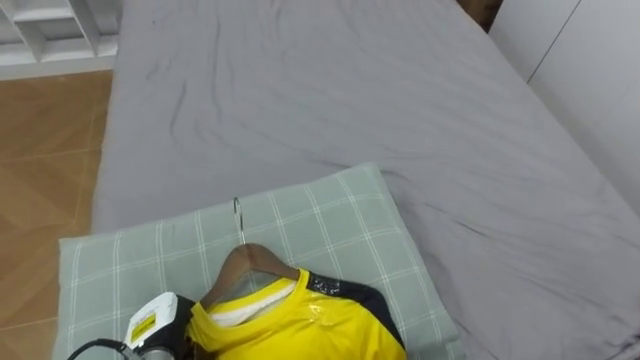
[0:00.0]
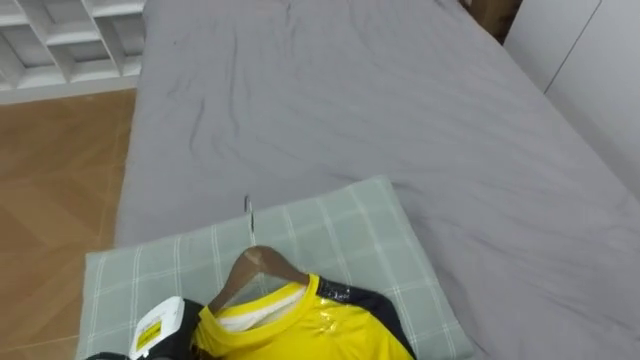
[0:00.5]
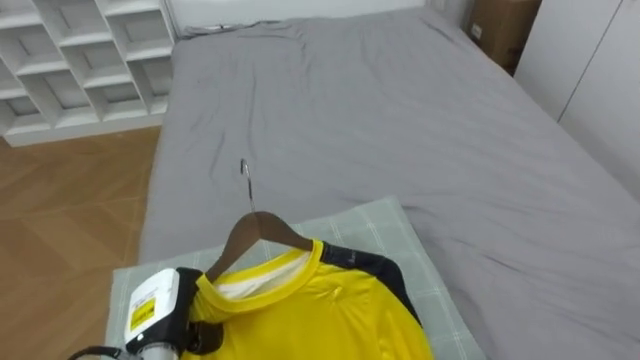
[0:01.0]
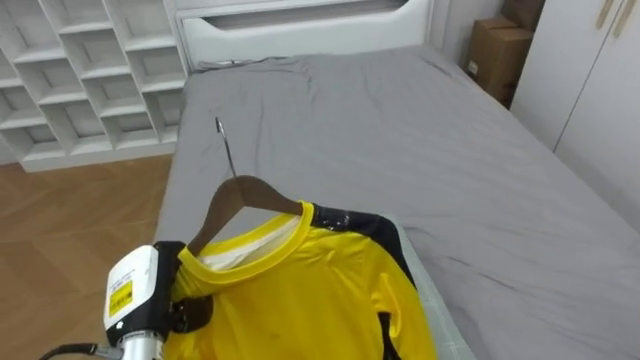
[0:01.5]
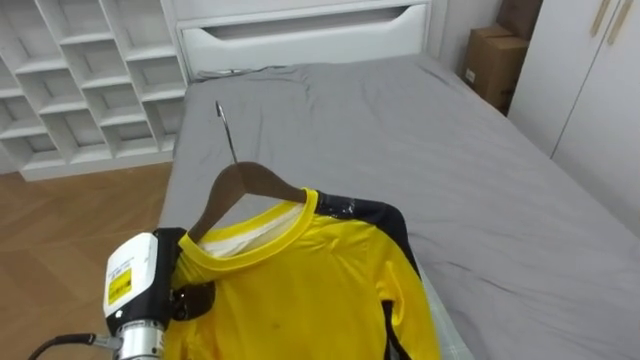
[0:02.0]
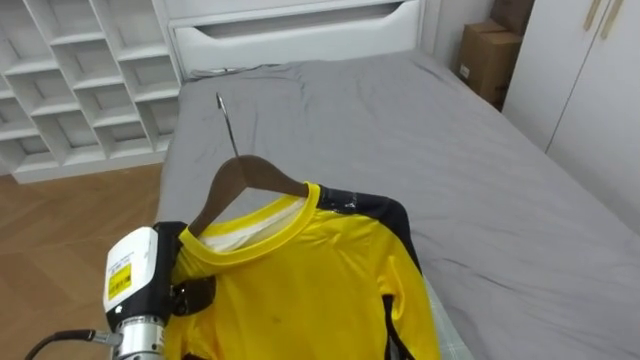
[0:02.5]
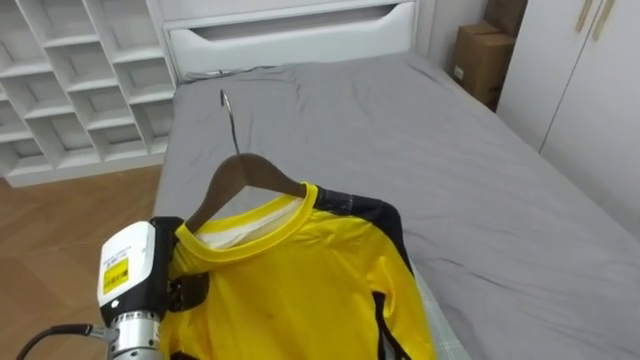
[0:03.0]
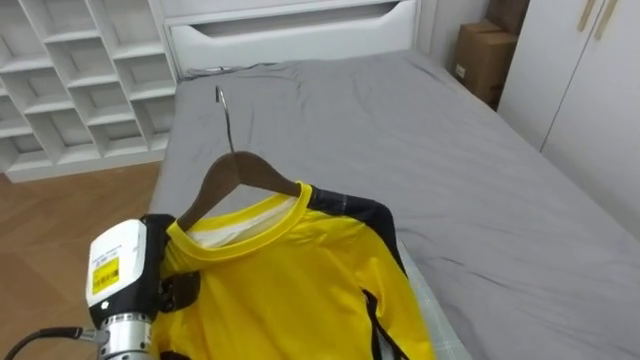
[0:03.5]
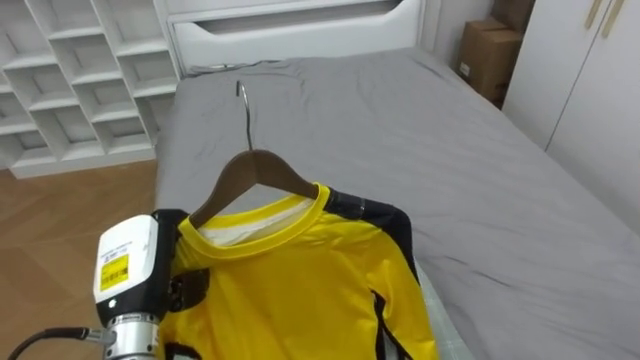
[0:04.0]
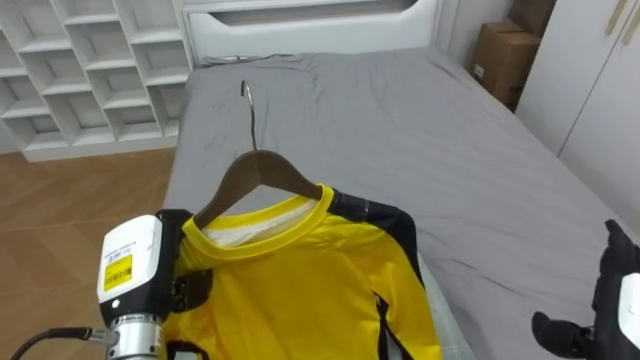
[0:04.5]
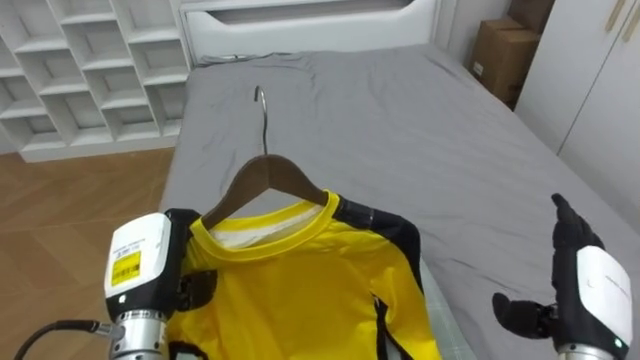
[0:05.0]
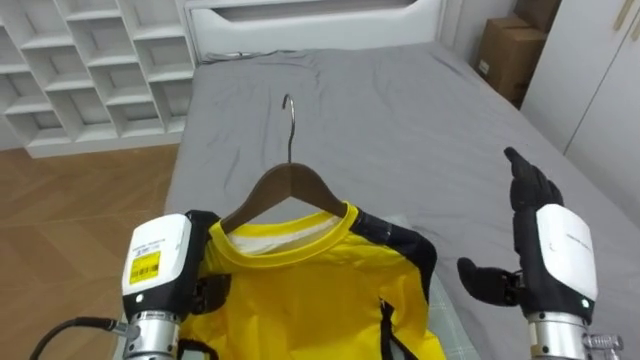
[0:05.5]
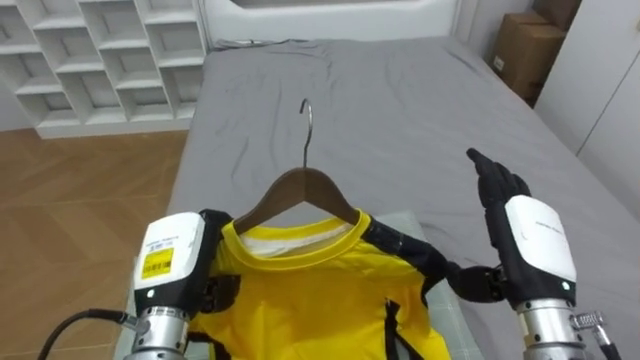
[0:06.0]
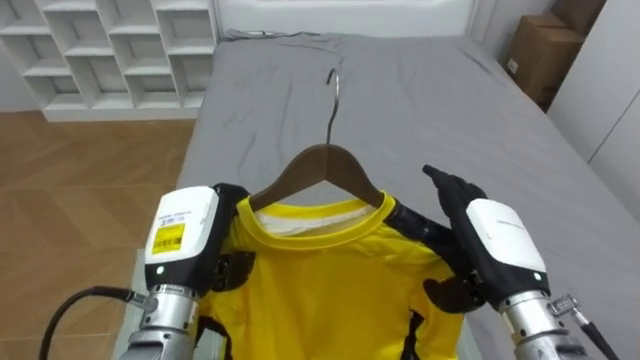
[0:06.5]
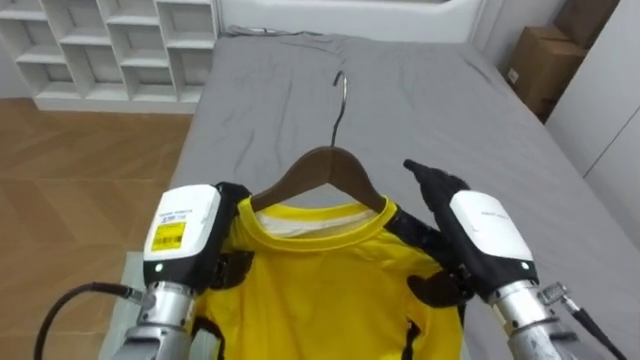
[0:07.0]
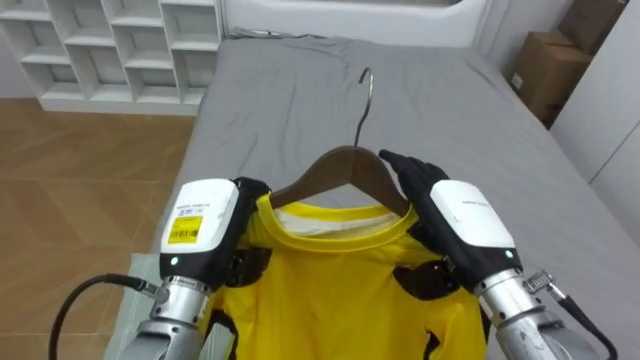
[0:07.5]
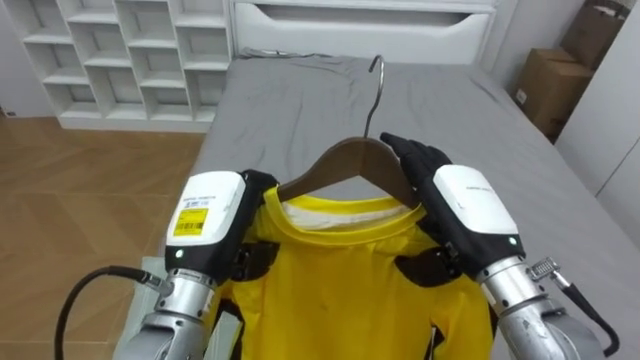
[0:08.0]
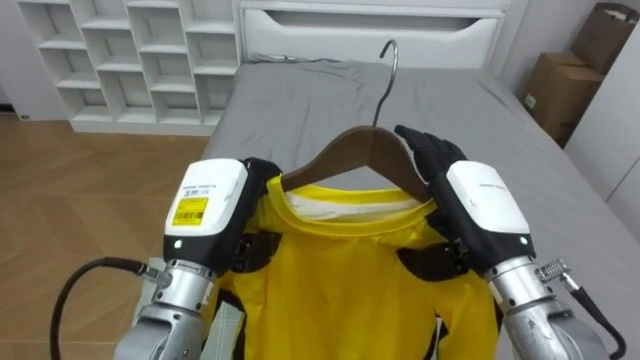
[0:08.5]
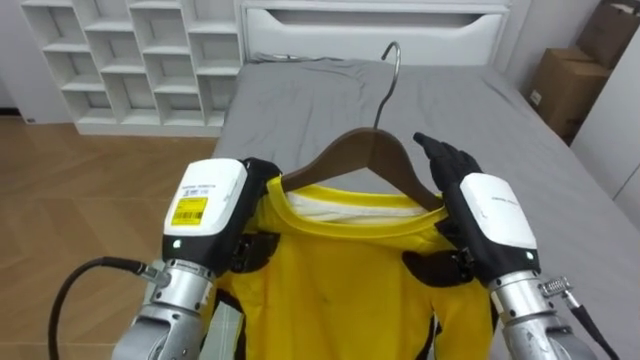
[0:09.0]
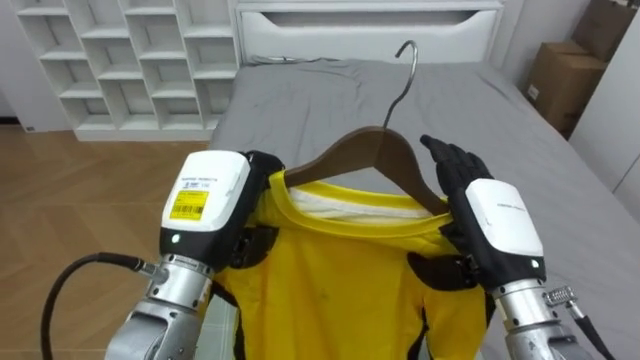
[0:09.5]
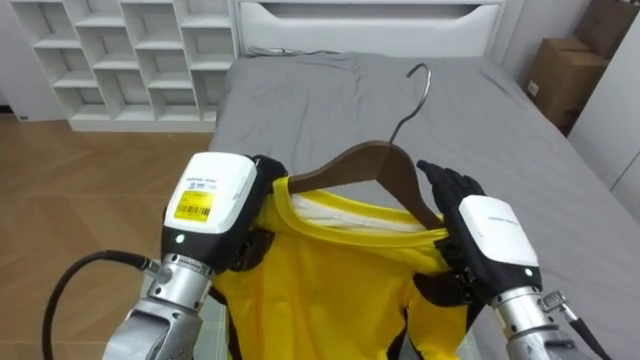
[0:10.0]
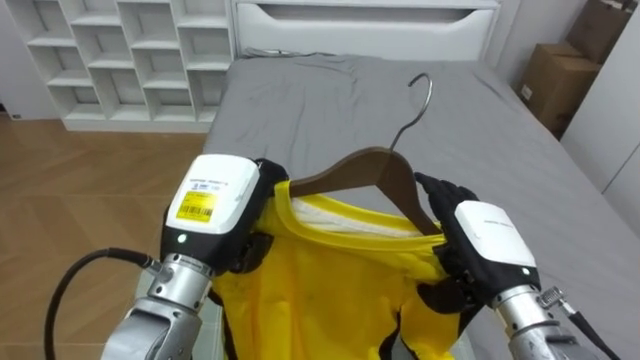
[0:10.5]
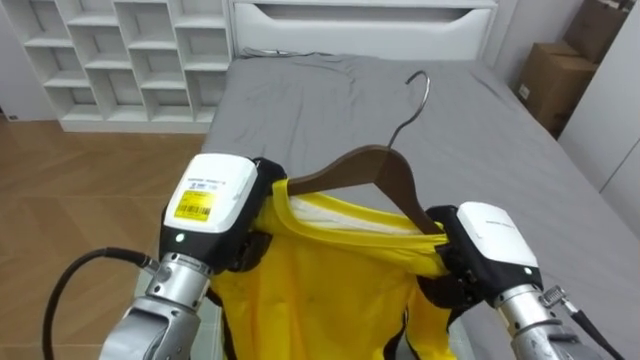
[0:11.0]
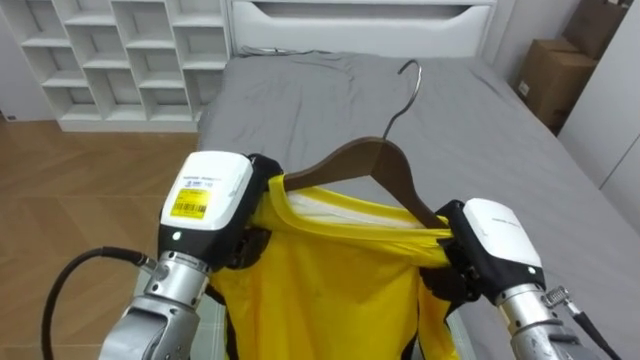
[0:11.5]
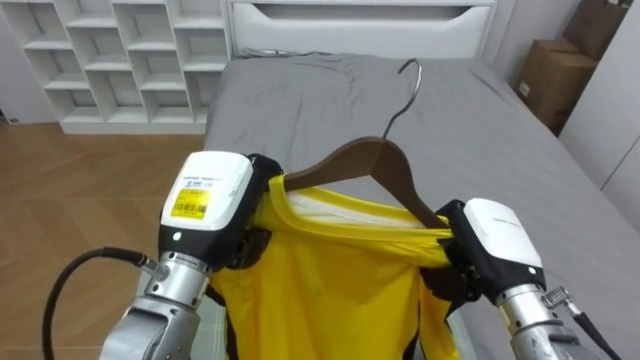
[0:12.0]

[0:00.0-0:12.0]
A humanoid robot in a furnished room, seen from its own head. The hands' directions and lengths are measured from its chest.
Task of the whole recording: Pick up the yellow shirt on the bed and hang it on the clothes rack on the right.
0:00.0 to 0:02.0: The left hand travels upward by about 10 cm.
0:06.0 to 0:08.0: The left hand heads upward, covering some 5 cm. The right hand moves to the left, some 5 cm.
0:08.0 to 0:10.0: The right hand moves some 5 cm.
0:10.0 to 0:12.0: The right hand closes its fingers.

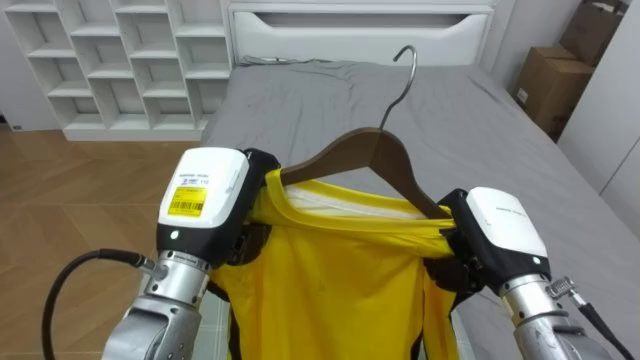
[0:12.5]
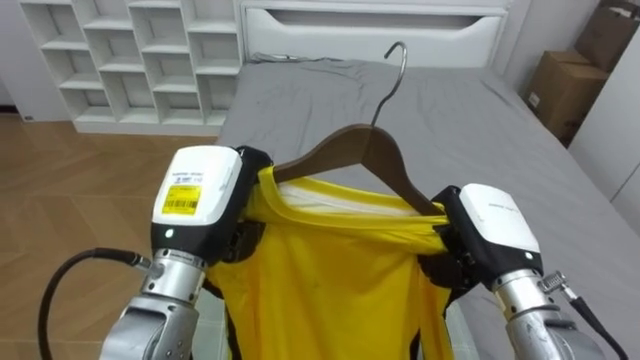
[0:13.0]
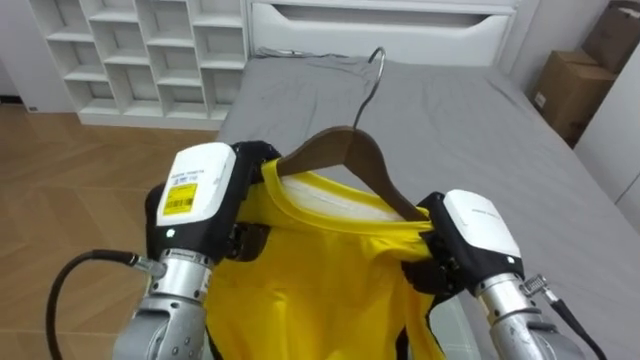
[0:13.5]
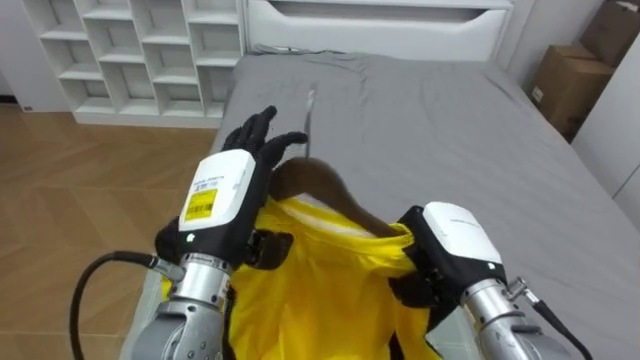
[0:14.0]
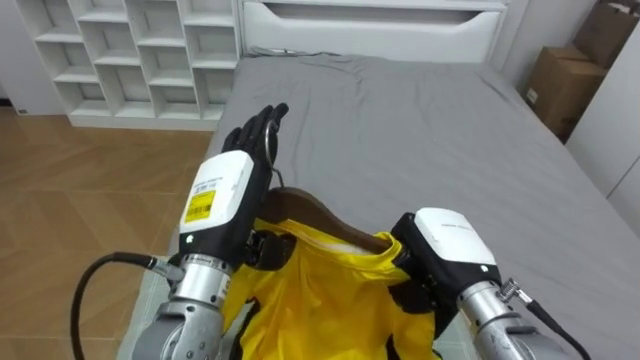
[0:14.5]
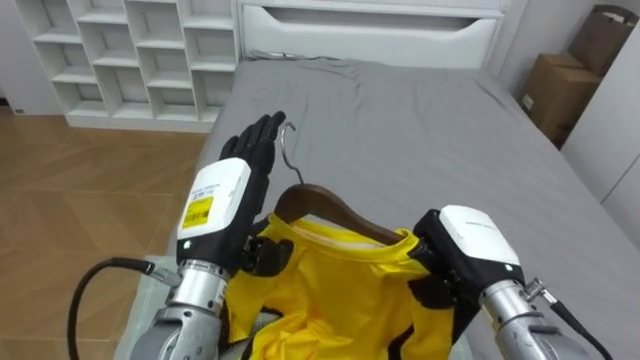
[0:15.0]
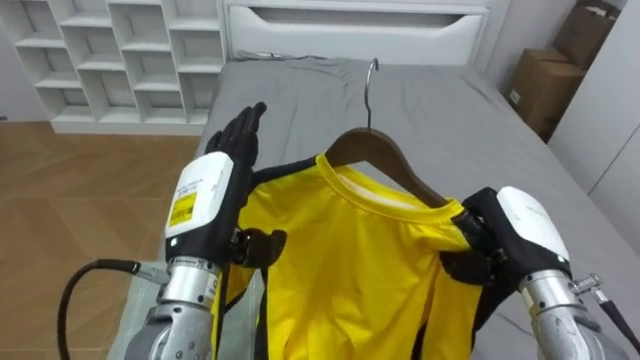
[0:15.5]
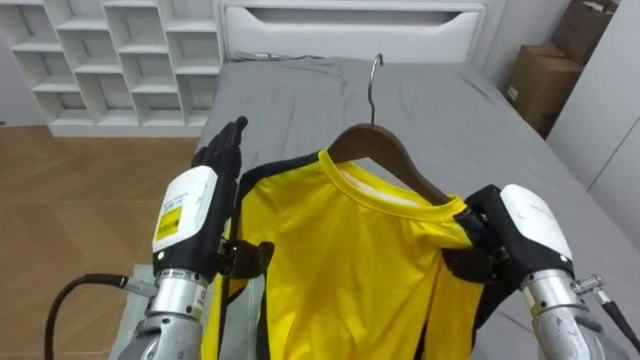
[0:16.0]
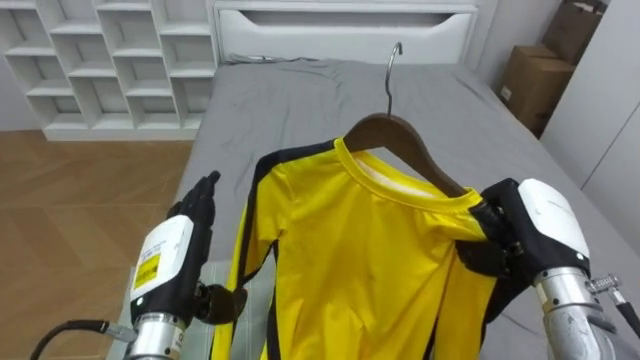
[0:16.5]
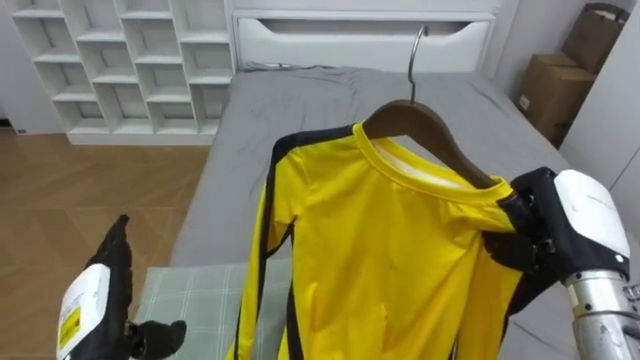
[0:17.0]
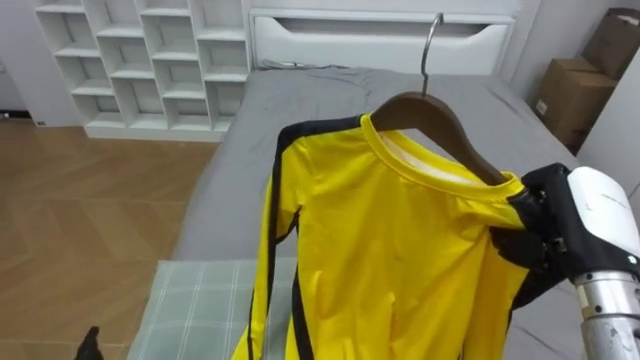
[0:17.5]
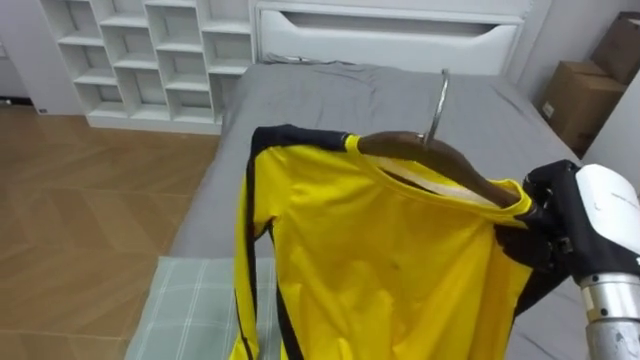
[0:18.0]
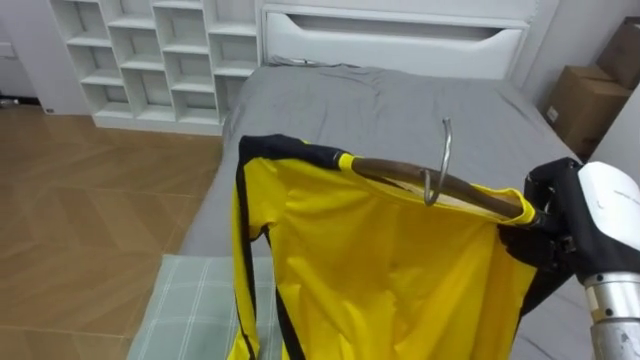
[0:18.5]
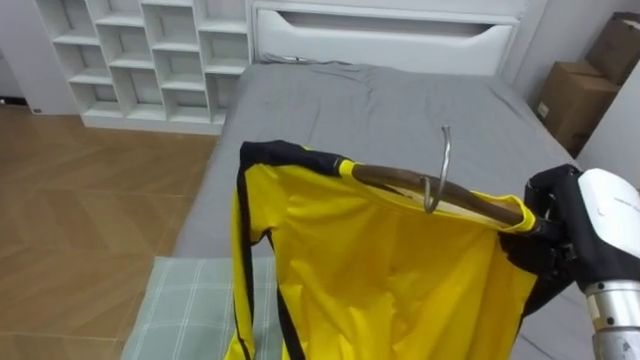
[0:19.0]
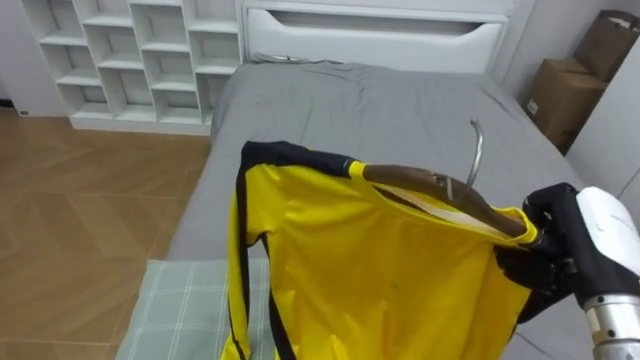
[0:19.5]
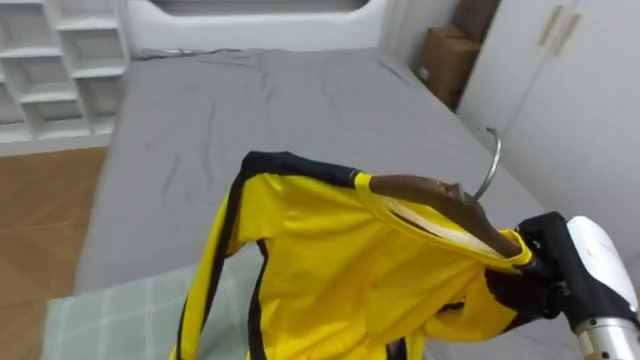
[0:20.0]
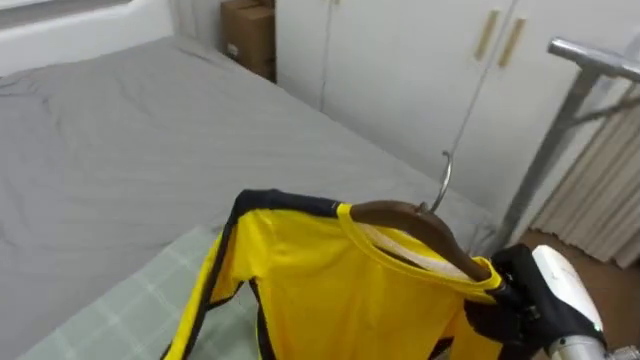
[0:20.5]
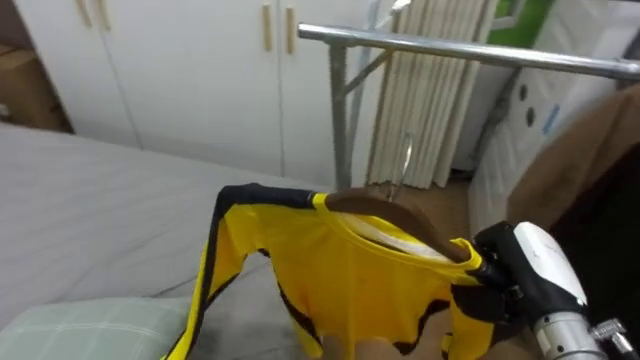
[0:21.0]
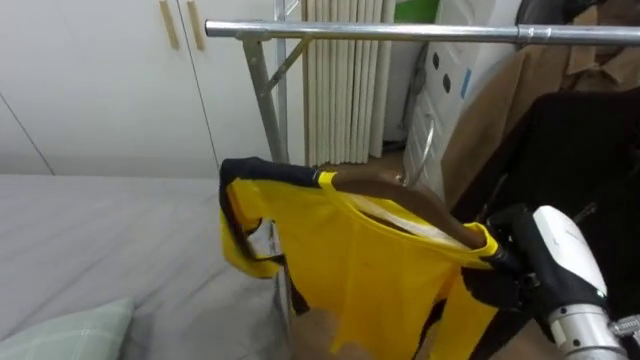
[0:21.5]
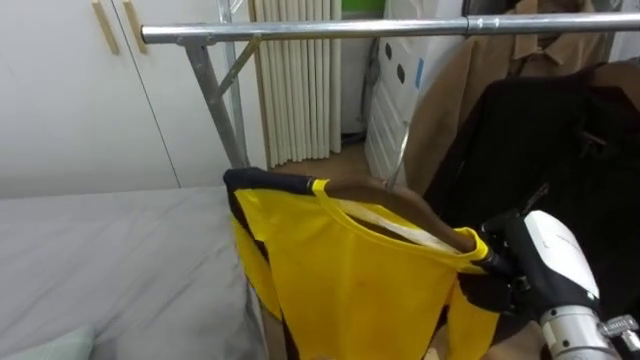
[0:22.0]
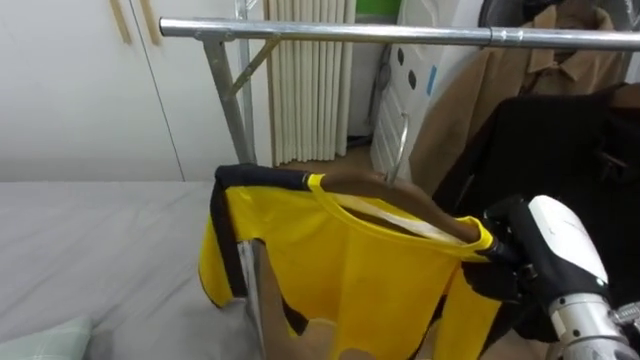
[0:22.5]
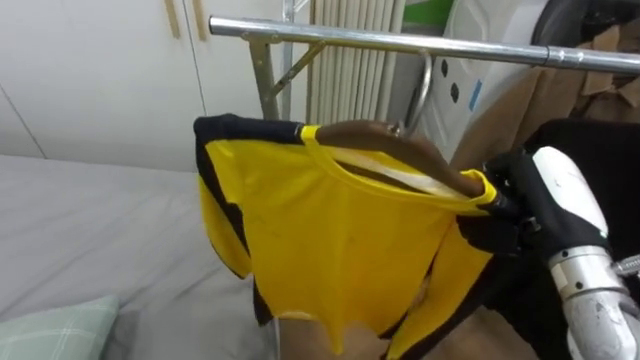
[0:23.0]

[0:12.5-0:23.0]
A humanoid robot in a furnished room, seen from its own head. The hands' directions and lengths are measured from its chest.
Task of the whole recording: Pick up the yellow shirt on the bed and hang it on the clothes rack on the right.
0:12.5 to 0:14.5: The left hand opens; the right hand moves about 5 cm.
0:14.5 to 0:16.5: The right hand is displaced to the right by approximately 10 cm, while the left hand is displaced downward and to the left by some 10 cm.
0:16.5 to 0:19.0: The right hand ends up roughly 5 cm from where it was.
0:19.0 to 0:21.0: The robot's body swings some 80 degrees to its right. The right hand shifts roughly 5 cm downward.
0:21.0 to 0:23.0: The right hand is displaced upward by approximately 10 cm.
